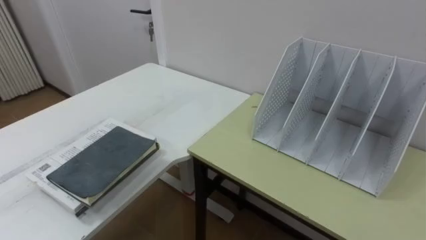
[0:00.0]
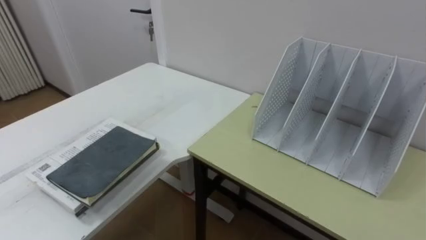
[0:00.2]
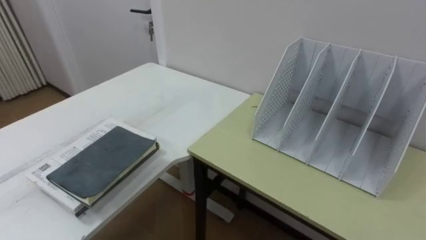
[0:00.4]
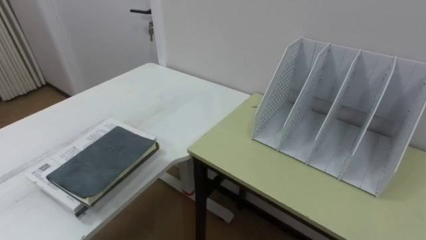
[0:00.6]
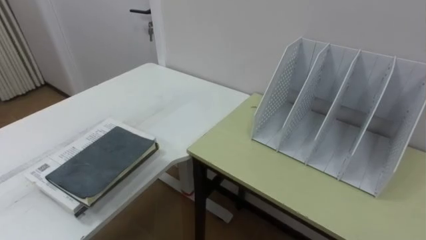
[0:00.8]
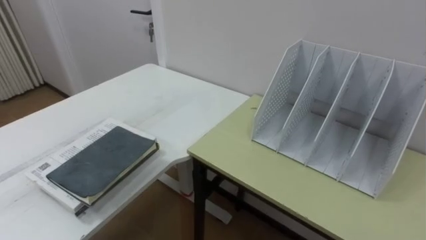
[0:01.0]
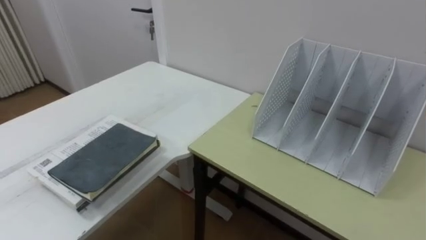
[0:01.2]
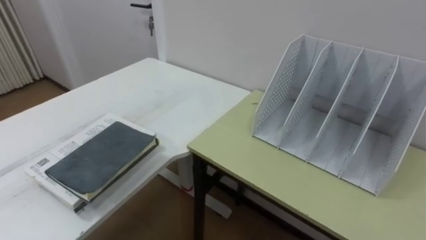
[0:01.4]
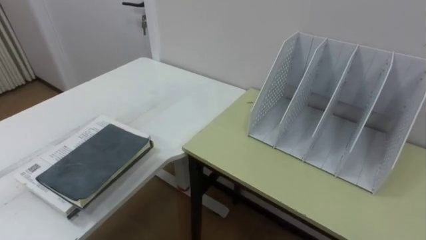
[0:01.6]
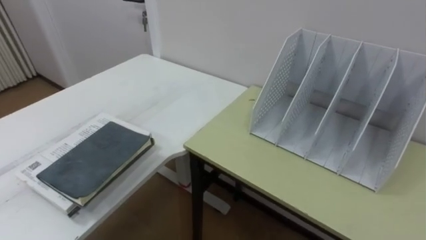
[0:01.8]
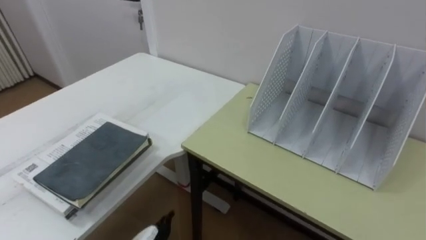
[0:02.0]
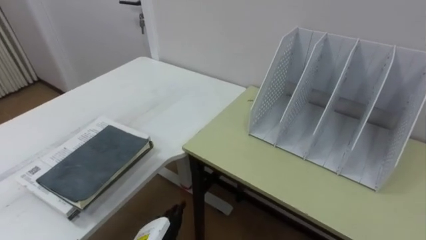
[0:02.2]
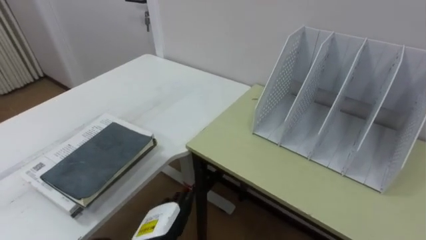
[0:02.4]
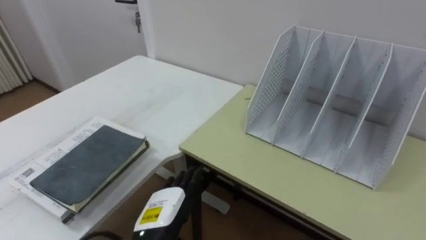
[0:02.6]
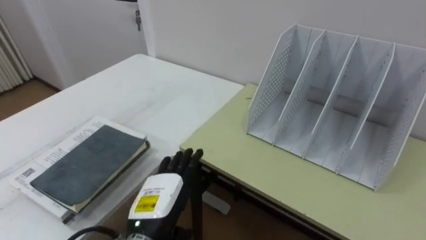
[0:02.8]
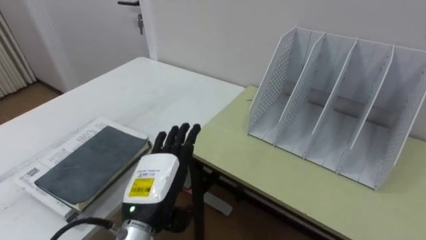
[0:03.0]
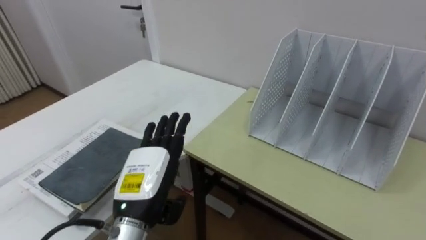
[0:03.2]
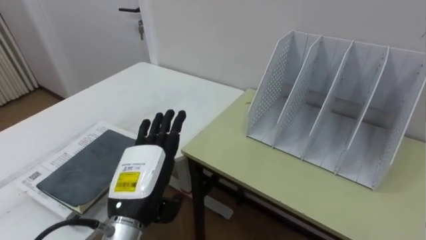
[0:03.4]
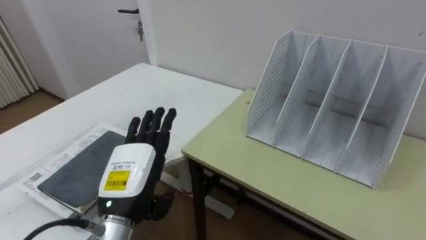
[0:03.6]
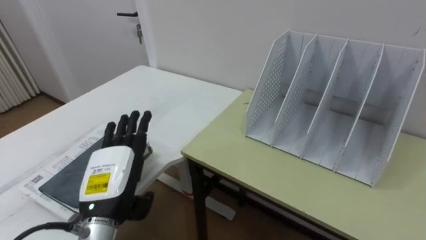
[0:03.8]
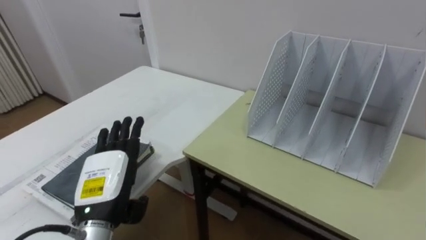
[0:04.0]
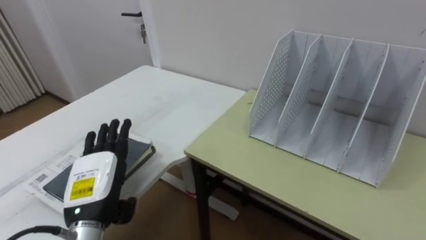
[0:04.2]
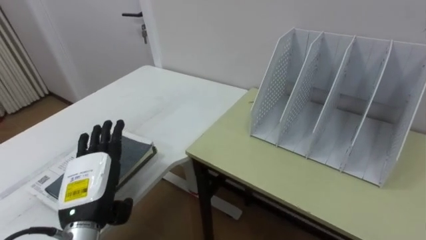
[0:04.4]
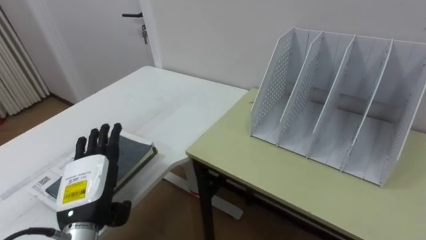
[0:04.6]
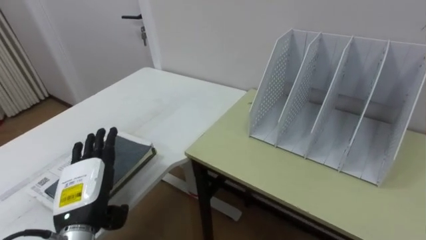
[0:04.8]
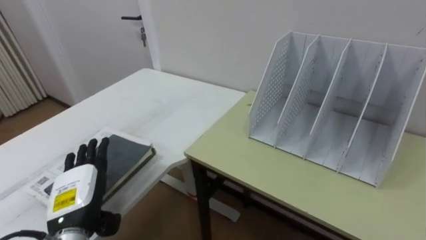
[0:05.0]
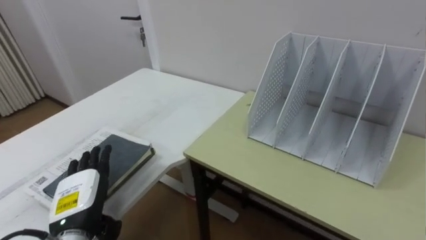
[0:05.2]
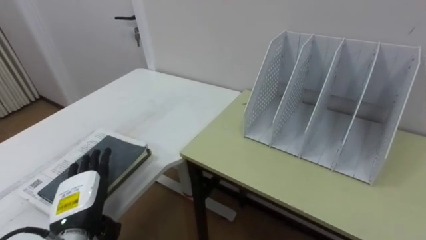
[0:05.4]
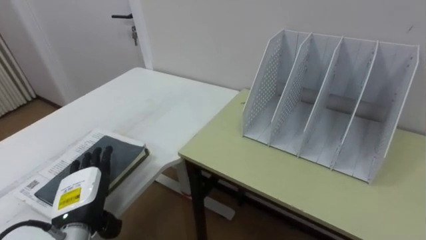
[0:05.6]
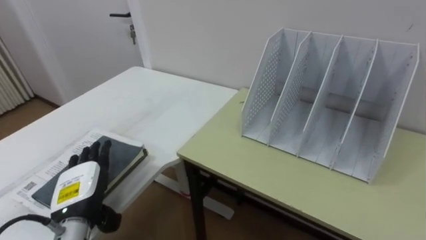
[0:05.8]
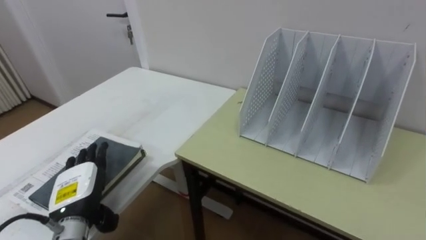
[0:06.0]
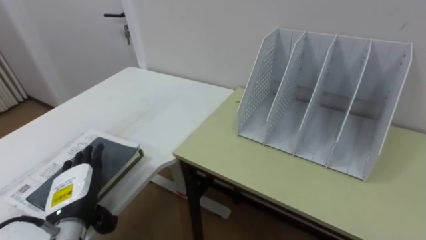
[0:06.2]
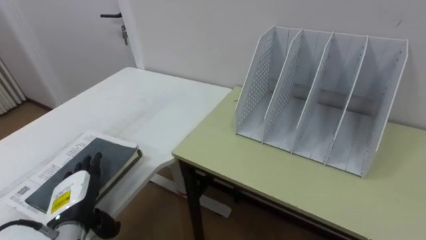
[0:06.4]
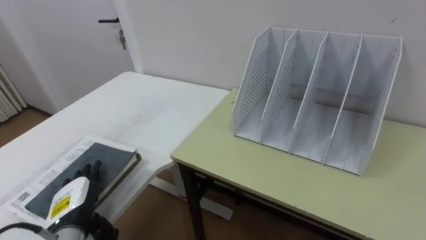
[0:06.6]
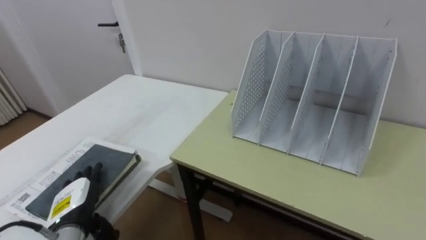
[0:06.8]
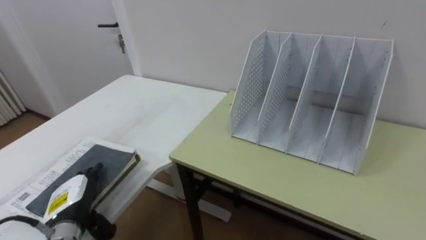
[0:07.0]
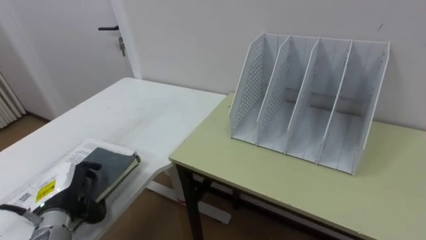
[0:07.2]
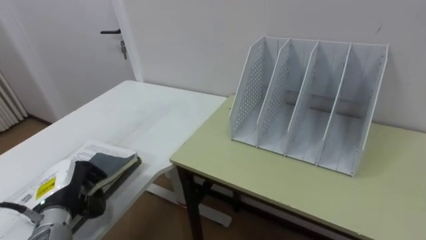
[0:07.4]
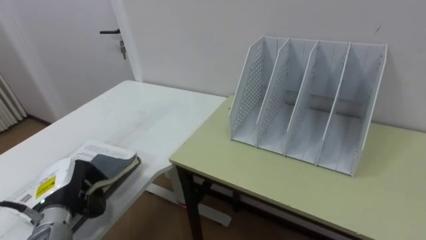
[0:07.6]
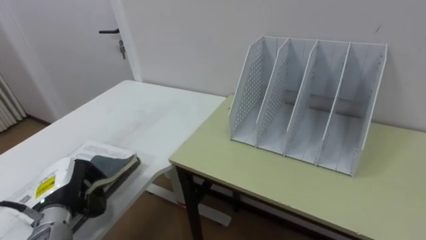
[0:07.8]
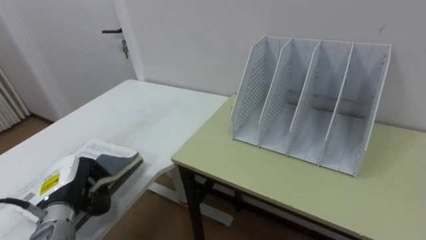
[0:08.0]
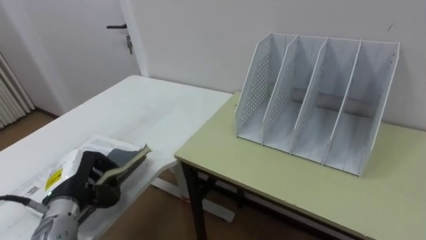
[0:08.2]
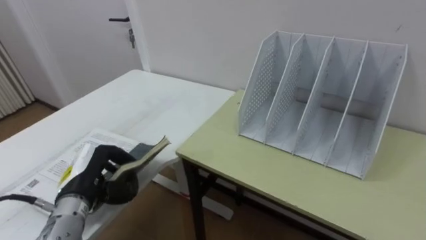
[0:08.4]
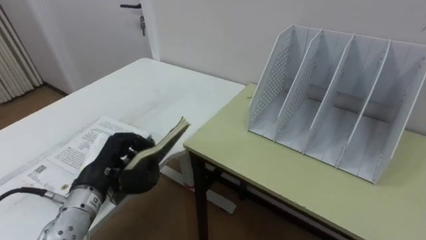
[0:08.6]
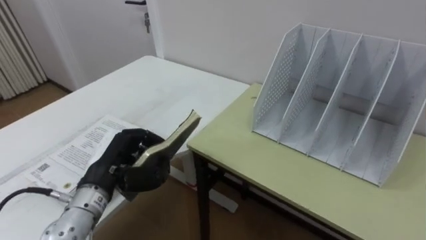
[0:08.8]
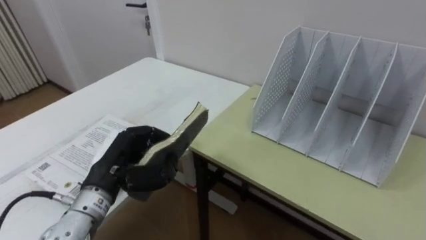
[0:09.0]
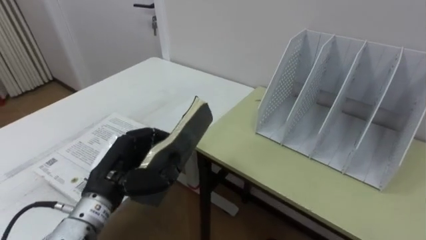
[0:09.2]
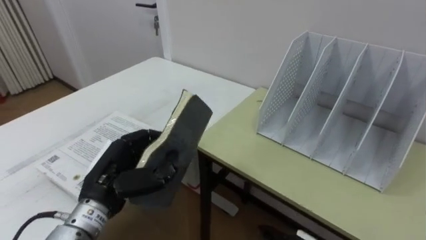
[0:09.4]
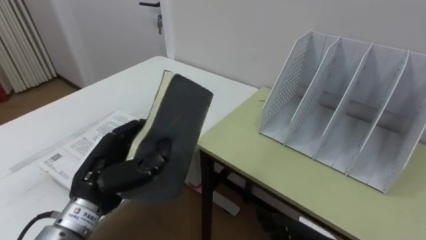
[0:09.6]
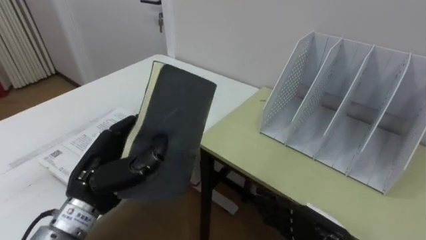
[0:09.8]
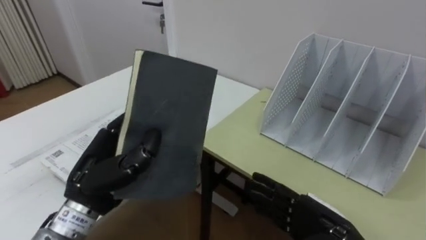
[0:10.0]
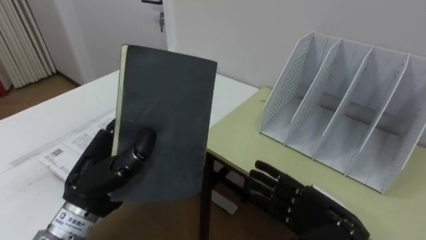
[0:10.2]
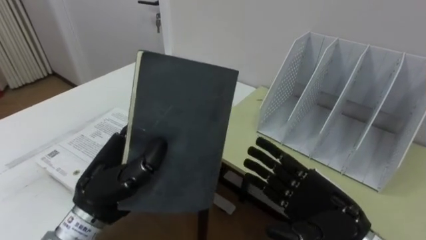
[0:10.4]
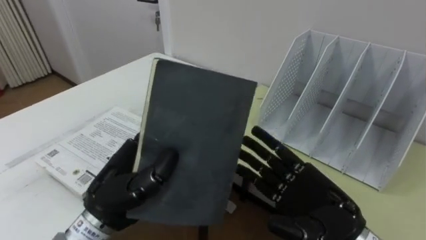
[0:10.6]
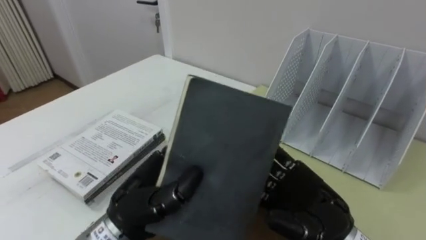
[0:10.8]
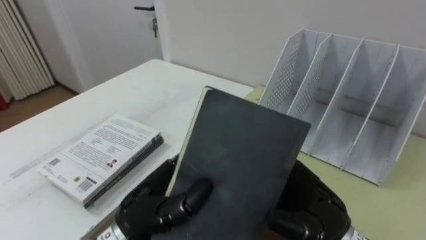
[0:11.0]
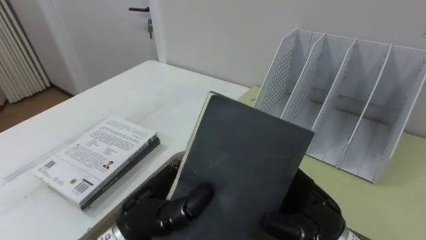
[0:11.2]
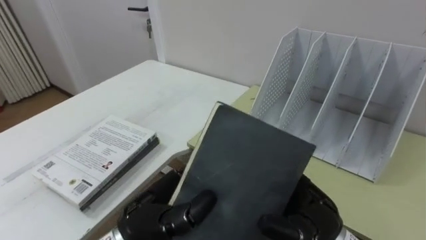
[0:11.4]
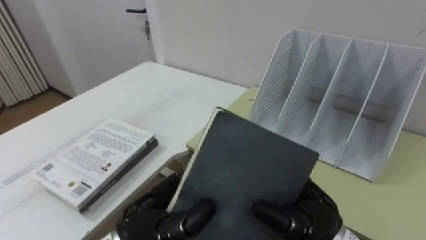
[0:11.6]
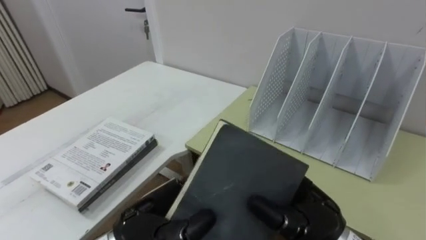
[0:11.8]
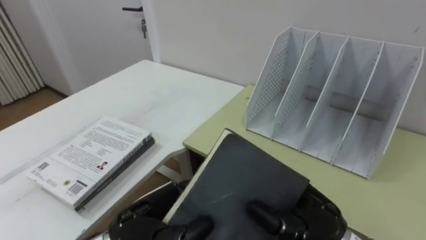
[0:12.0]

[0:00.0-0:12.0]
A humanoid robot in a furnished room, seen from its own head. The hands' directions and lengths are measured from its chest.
Task of the whole recording: Put the books on the table onto the bookshelf.
0:03.0 to 0:04.4: The left hand goes about 10 cm to the left.
0:04.4 to 0:06.0: The left hand ends up about 5 cm from where it was.
0:06.0 to 0:07.6: The left hand closes.
0:07.6 to 0:09.0: The left hand shifts some 15 cm to the right and upward.
0:09.0 to 0:10.4: The left hand ends up approximately 5 cm from where it was.
0:10.4 to 0:12.0: The left hand goes roughly 5 cm to the right. Meanwhile the right hand changes place by about 5 cm, and closes its fingers.

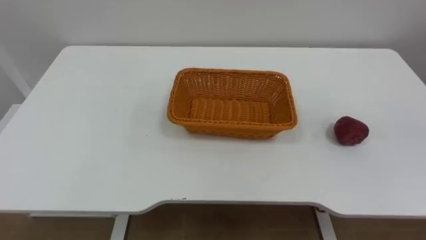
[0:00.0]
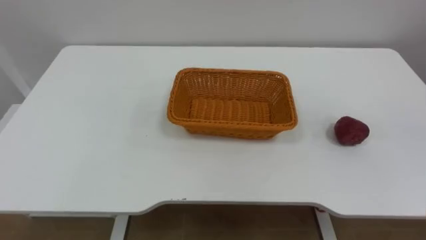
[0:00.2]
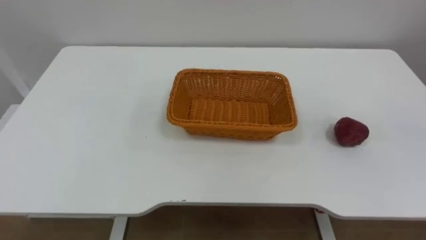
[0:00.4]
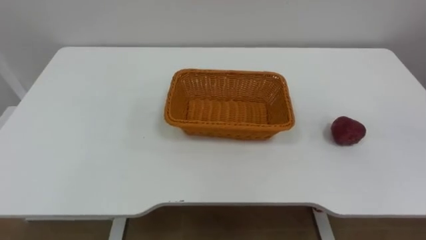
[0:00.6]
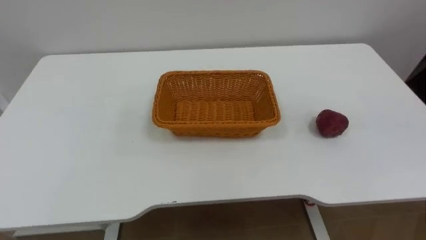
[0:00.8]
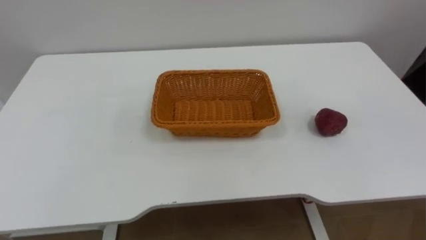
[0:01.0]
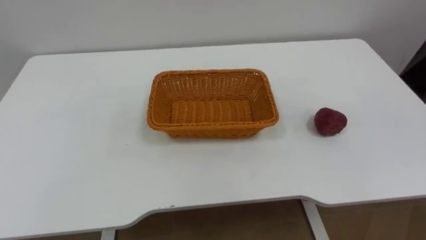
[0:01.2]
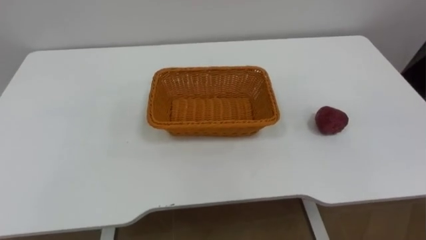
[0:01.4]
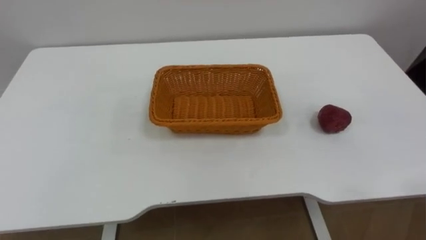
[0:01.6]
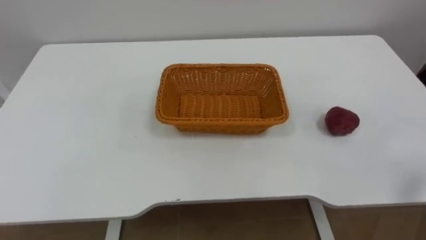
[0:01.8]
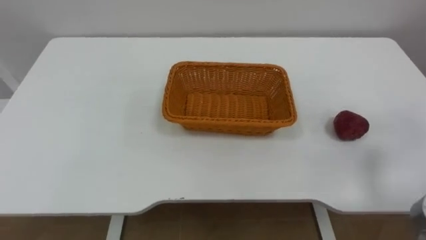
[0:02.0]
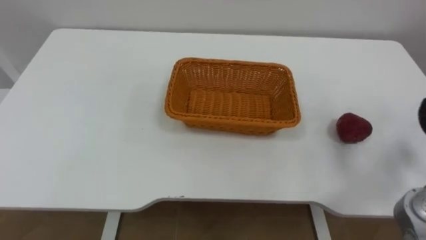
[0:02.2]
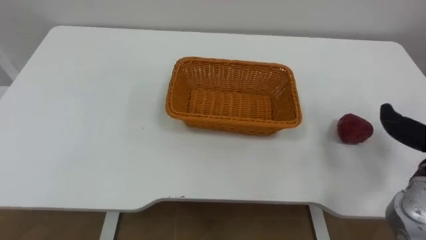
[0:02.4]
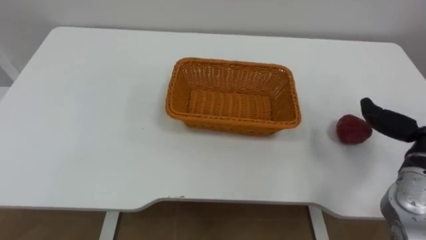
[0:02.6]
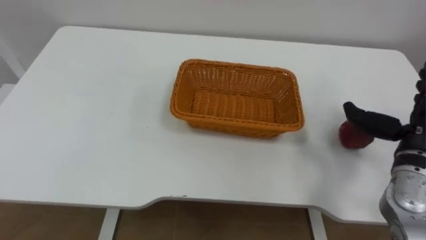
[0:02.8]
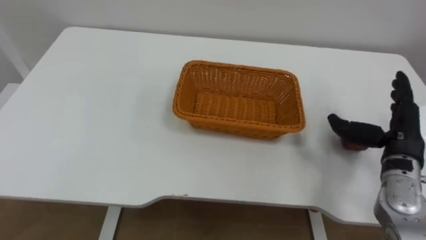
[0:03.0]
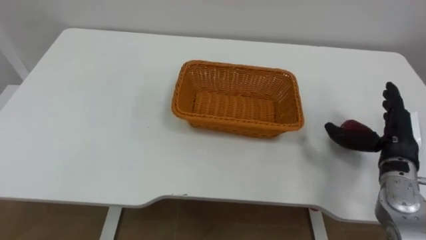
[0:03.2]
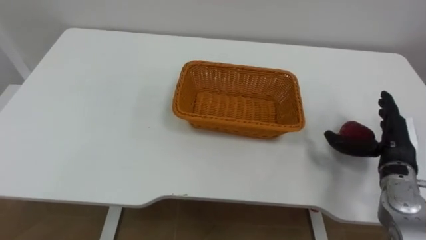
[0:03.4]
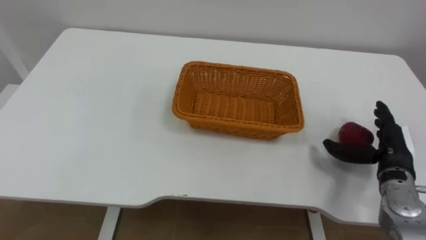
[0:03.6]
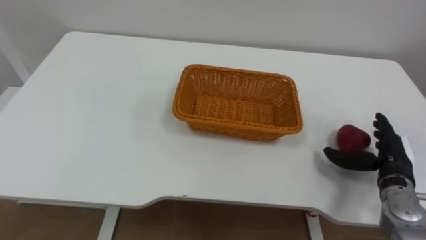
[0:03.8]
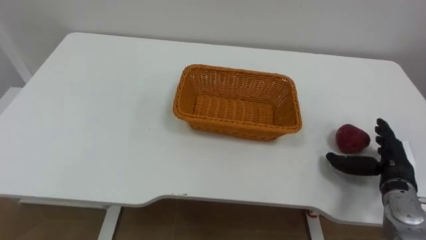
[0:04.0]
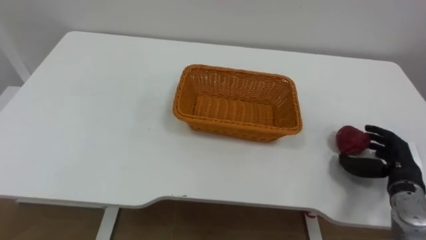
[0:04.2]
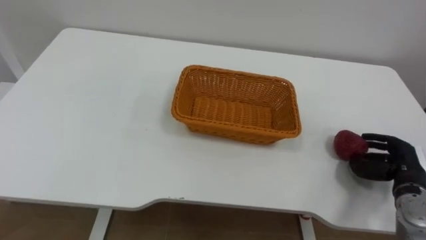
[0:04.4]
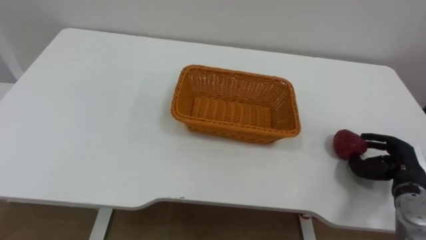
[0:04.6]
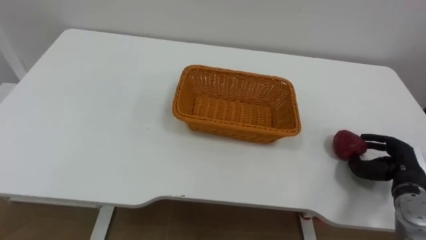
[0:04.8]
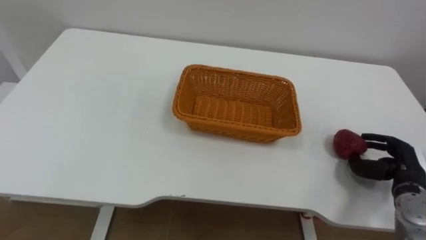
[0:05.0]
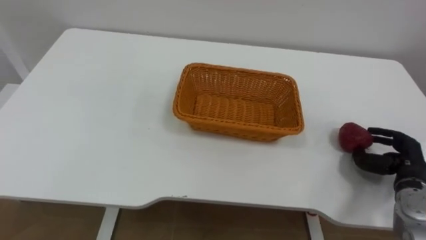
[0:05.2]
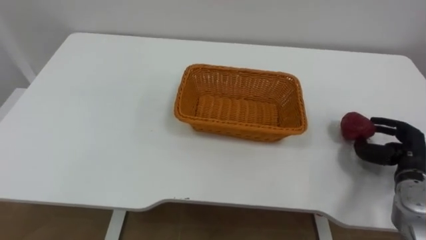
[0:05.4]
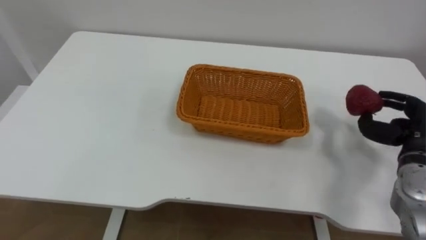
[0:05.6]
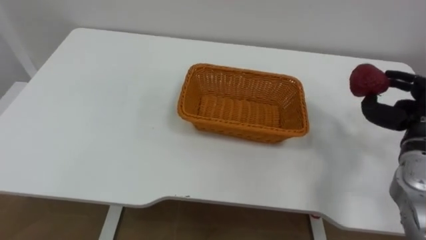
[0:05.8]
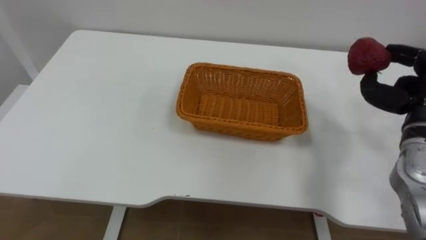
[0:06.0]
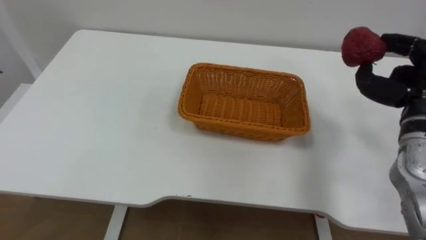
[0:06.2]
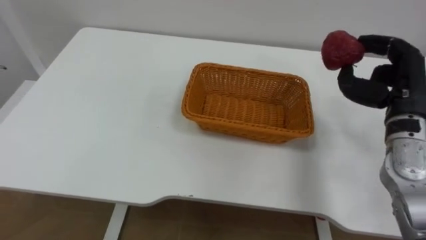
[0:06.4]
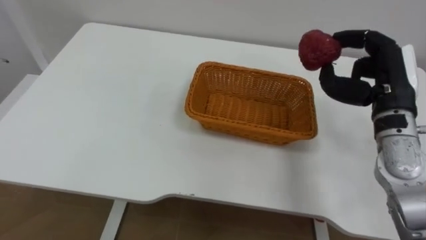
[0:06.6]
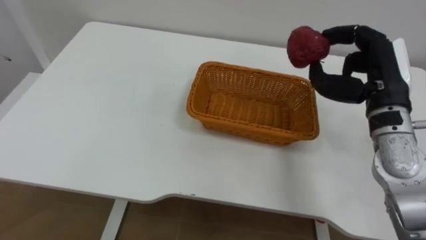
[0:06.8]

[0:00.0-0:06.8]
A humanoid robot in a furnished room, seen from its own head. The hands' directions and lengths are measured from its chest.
Task of the whole recording: Pick the apple and place it in the box.
0:02.8 to 0:04.0: The right hand heads downward, covering about 10 cm.
0:04.0 to 0:05.4: The right hand closes up.
0:05.4 to 0:06.8: The right hand is displaced upward and to the left by some 20 cm.
